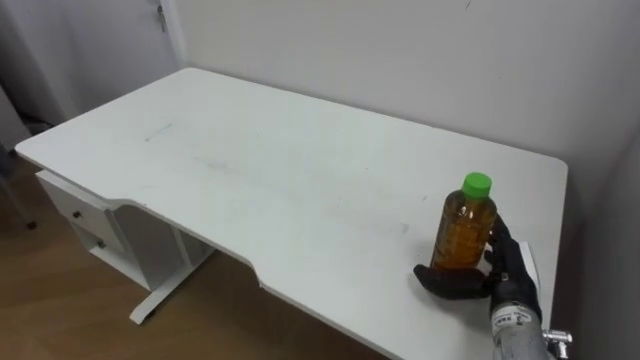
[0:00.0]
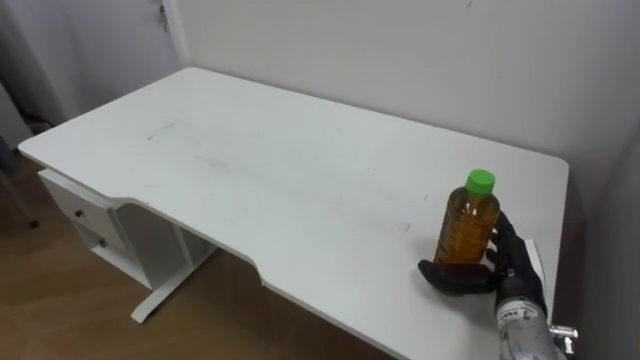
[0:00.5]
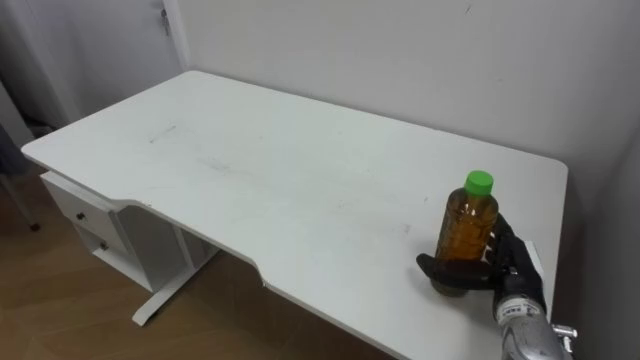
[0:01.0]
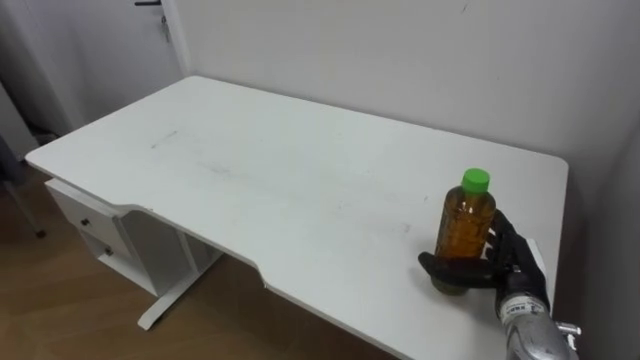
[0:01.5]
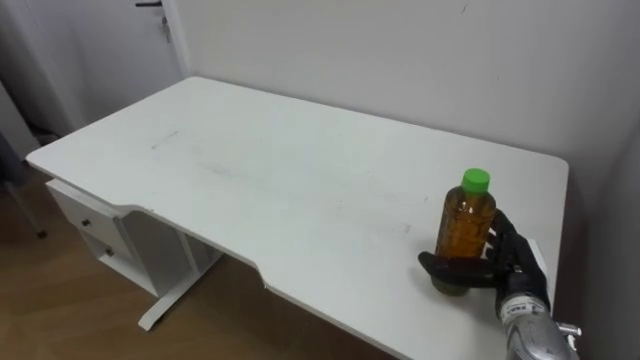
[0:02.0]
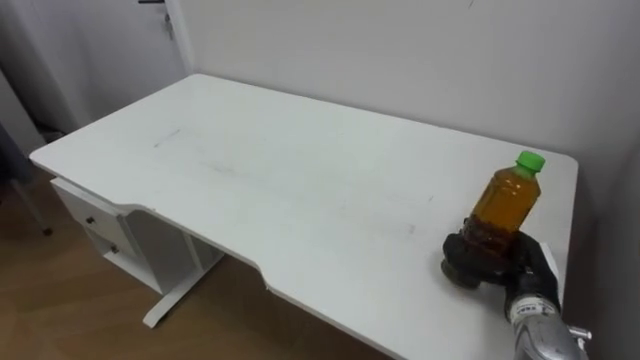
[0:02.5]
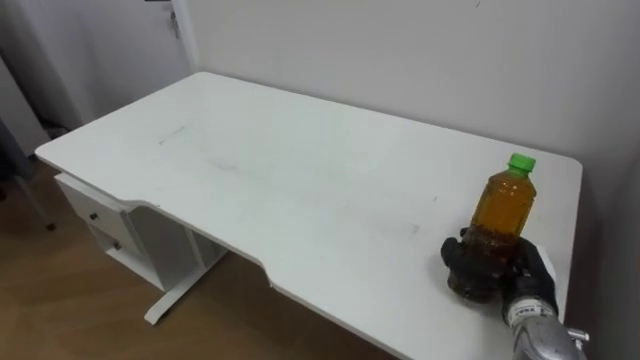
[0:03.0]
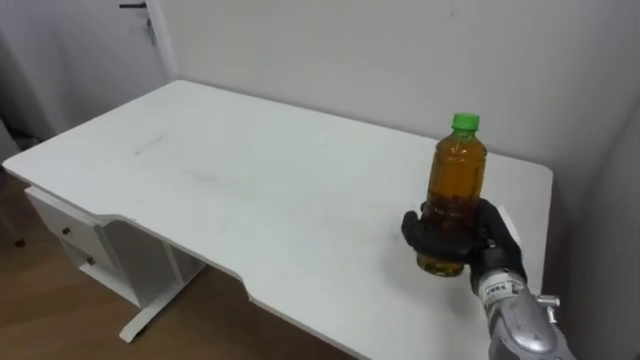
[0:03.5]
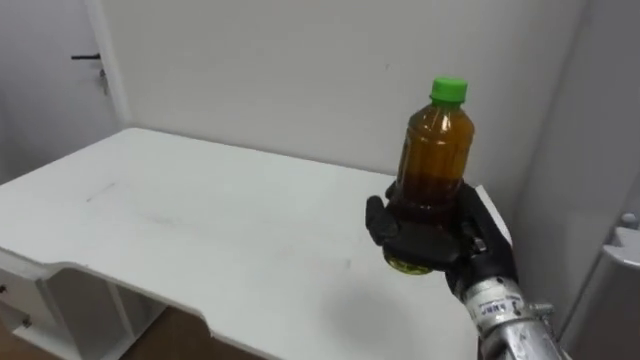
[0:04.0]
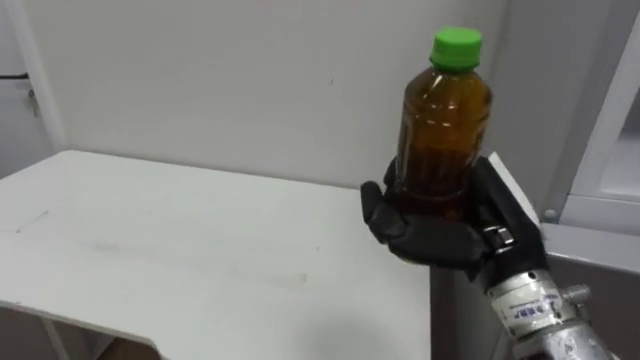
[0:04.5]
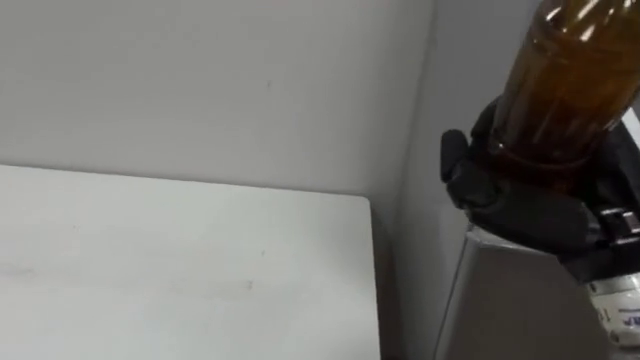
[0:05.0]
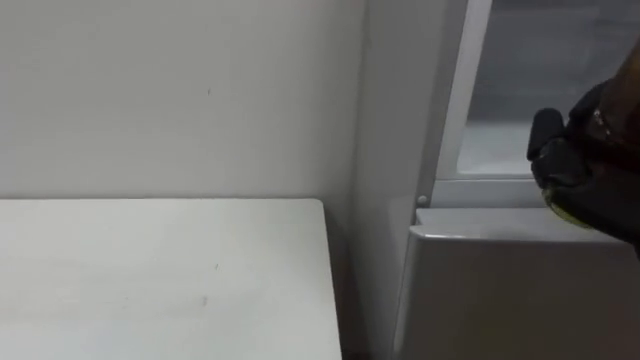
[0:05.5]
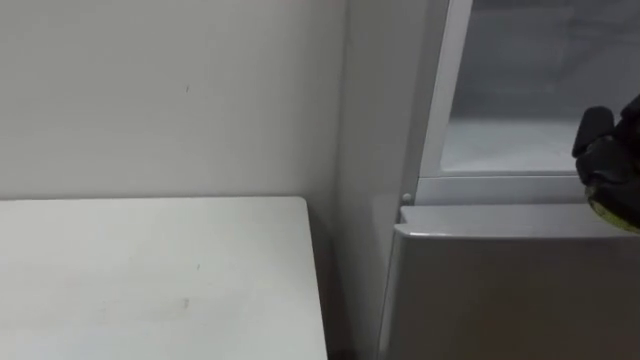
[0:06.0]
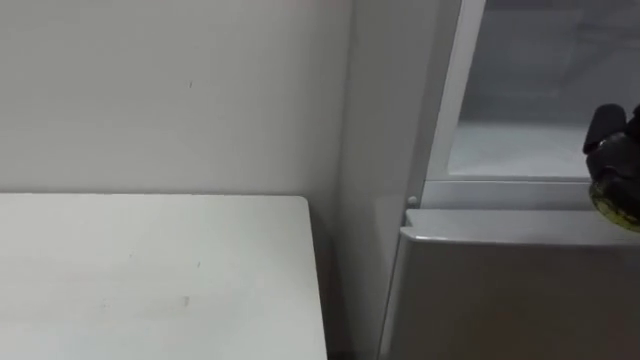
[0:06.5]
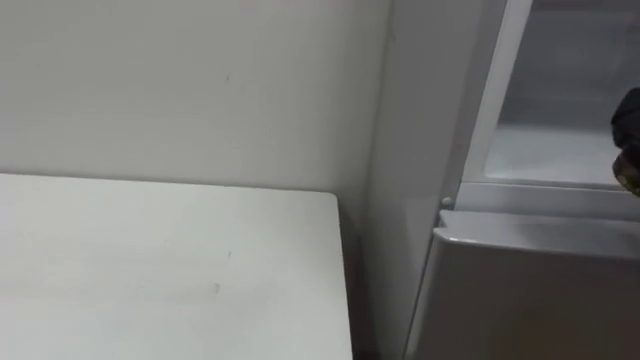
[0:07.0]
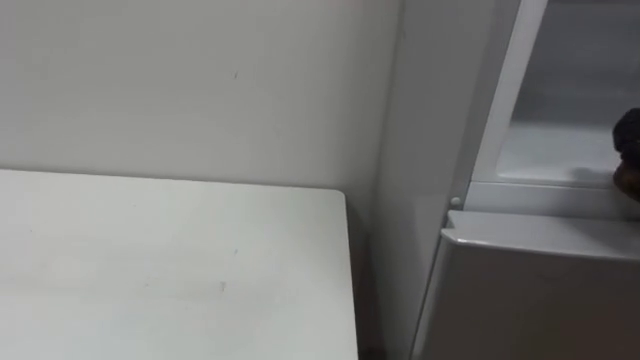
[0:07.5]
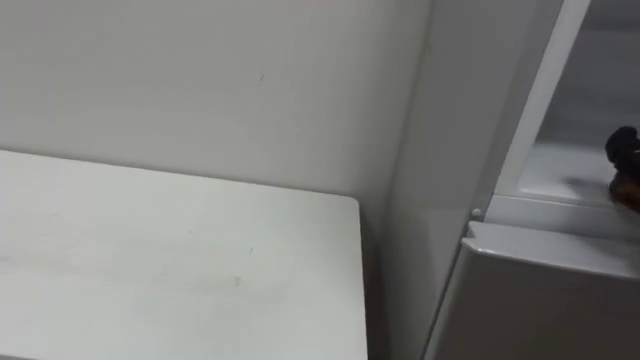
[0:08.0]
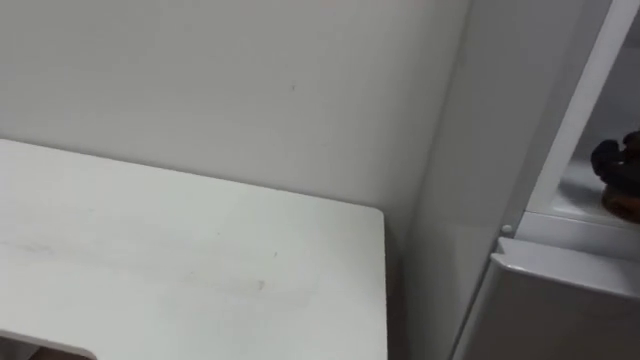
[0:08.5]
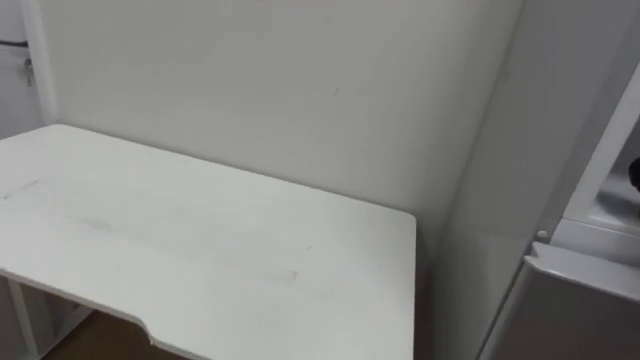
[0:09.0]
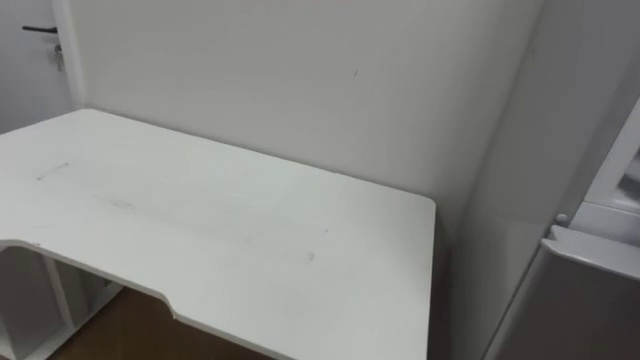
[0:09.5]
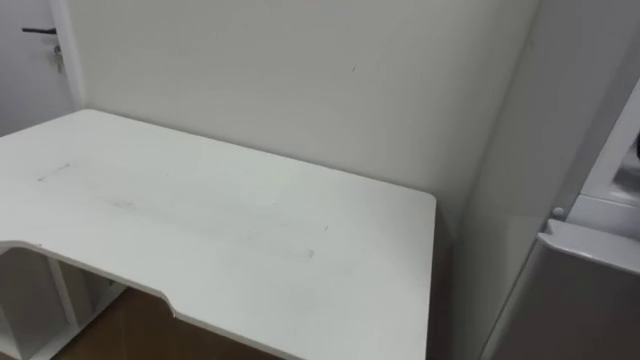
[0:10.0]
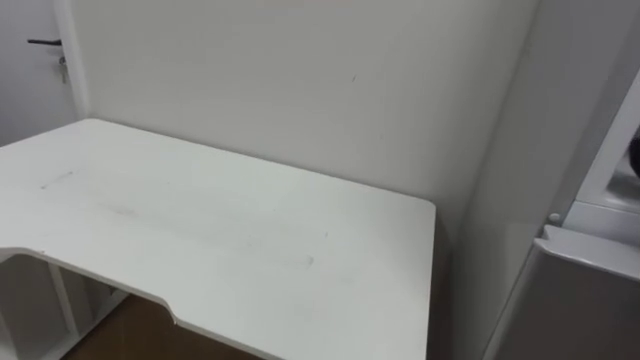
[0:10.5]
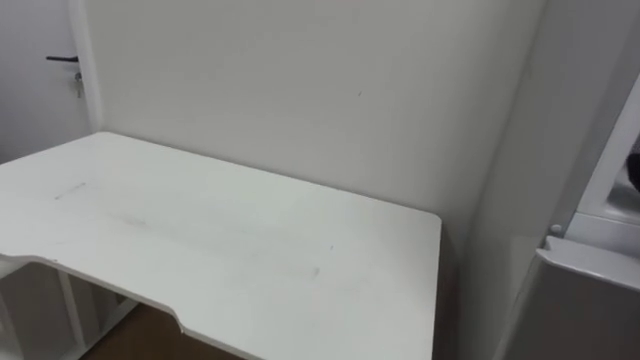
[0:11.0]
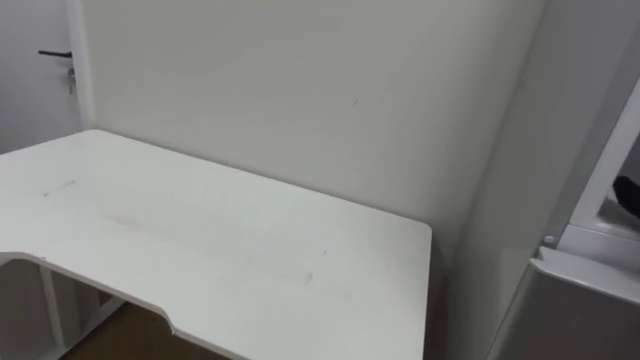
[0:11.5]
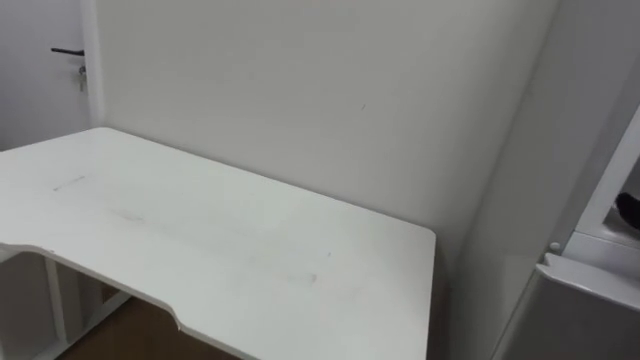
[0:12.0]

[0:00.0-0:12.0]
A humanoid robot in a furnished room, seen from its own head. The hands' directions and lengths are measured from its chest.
Task of the whole recording: Open the upper refrigerator door, put the drink from the table into the refrigerator, and then close the refrigerator door.
0:02.0 to 0:04.0: The right hand shifts about 15 cm upward and to the left, and closes its fingers.

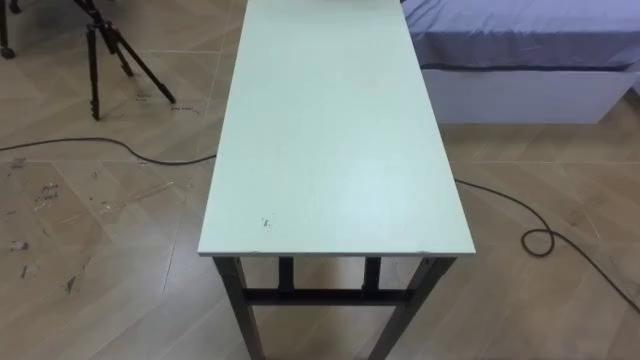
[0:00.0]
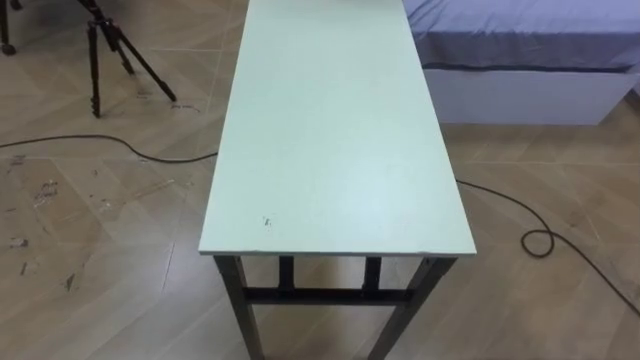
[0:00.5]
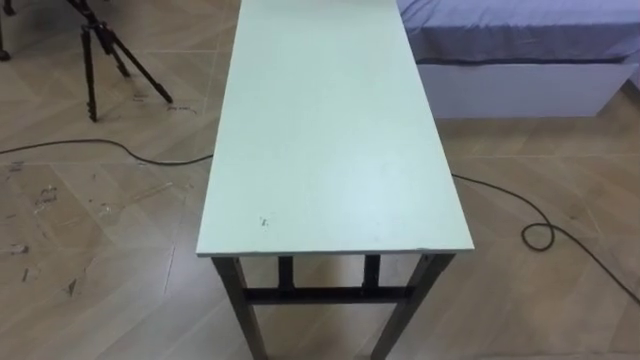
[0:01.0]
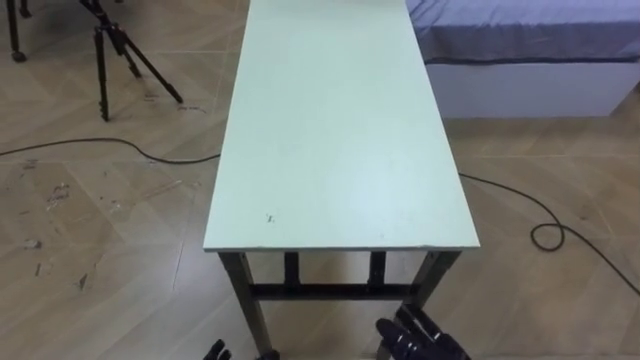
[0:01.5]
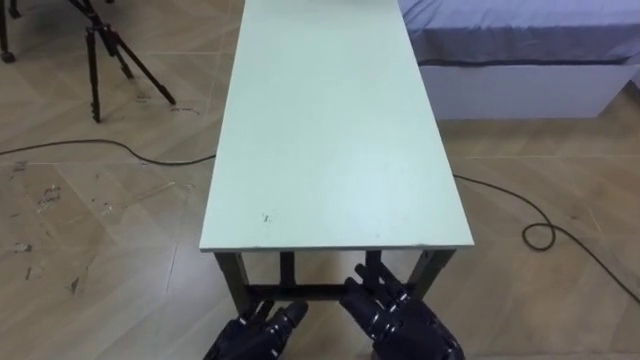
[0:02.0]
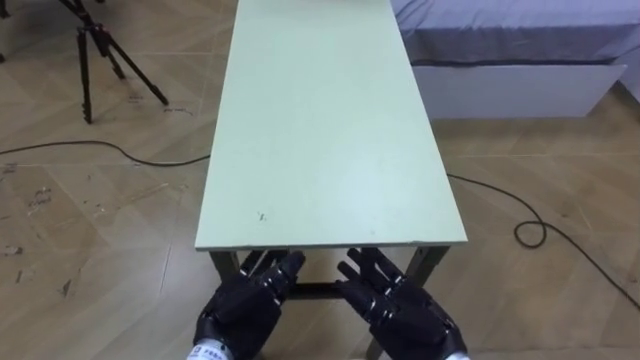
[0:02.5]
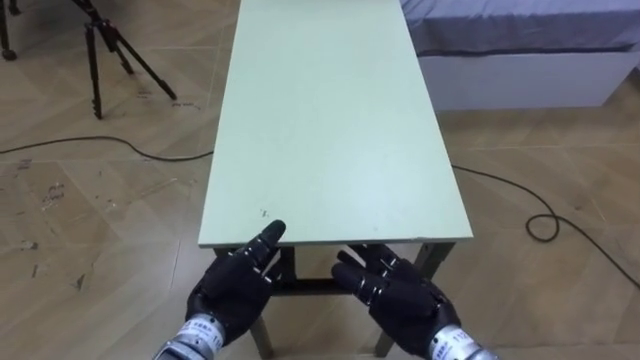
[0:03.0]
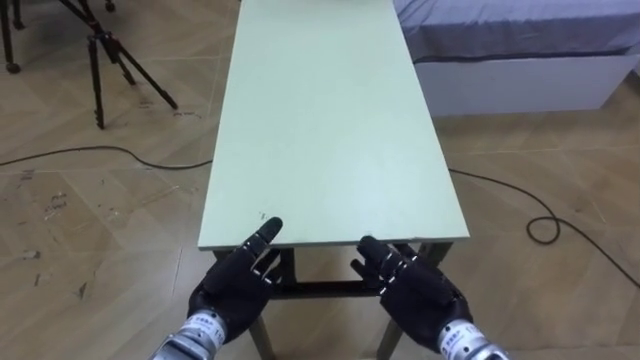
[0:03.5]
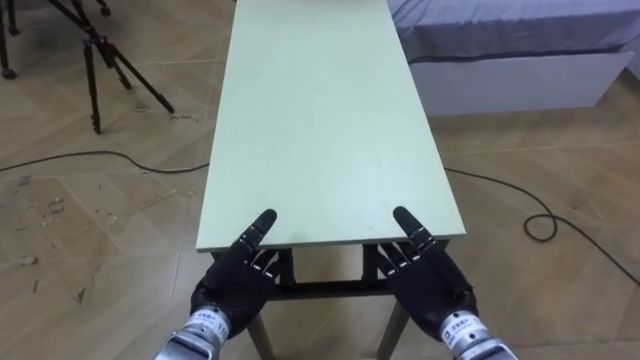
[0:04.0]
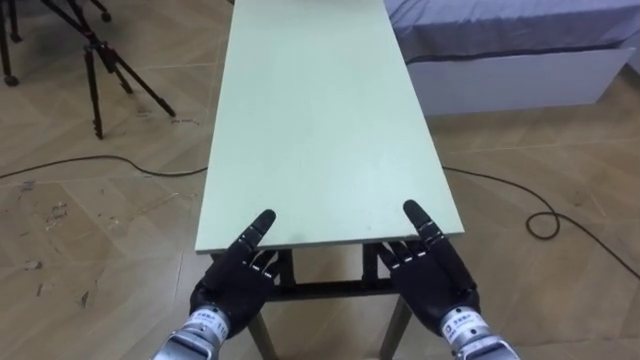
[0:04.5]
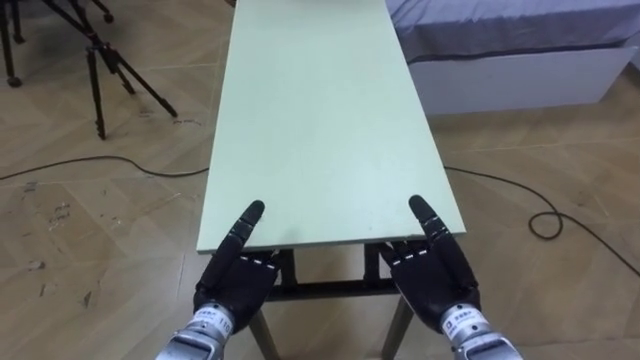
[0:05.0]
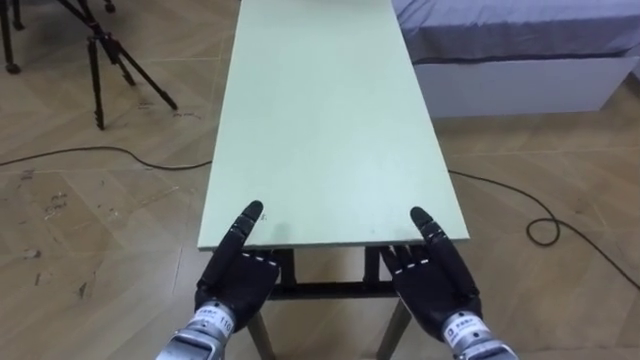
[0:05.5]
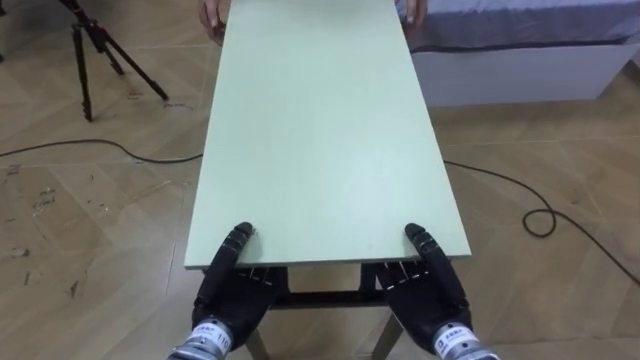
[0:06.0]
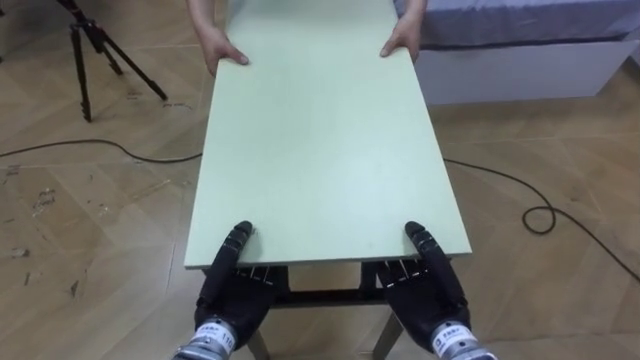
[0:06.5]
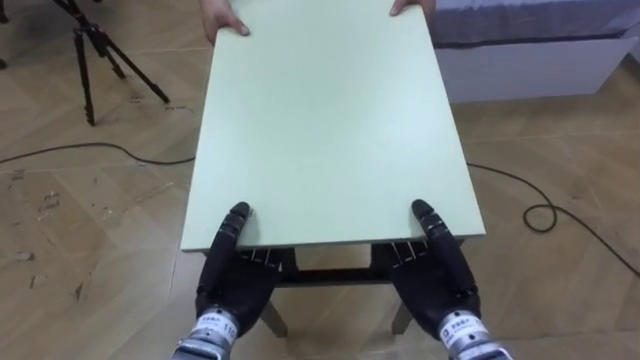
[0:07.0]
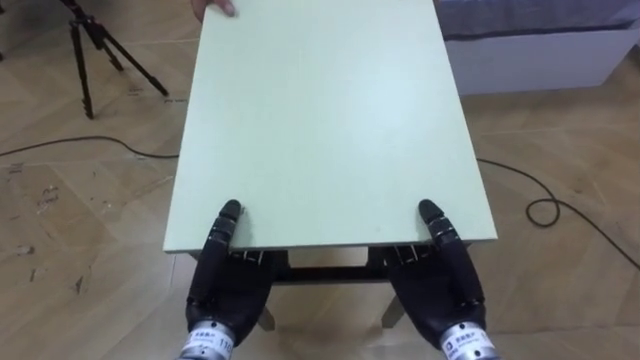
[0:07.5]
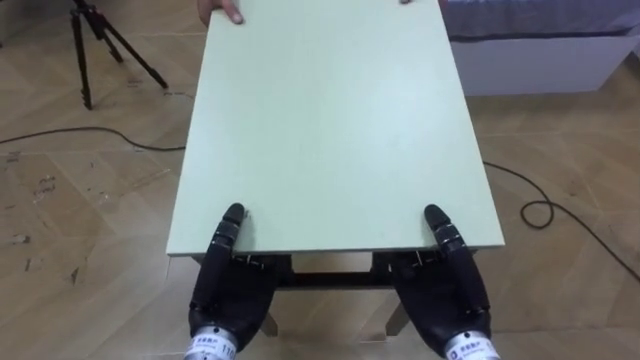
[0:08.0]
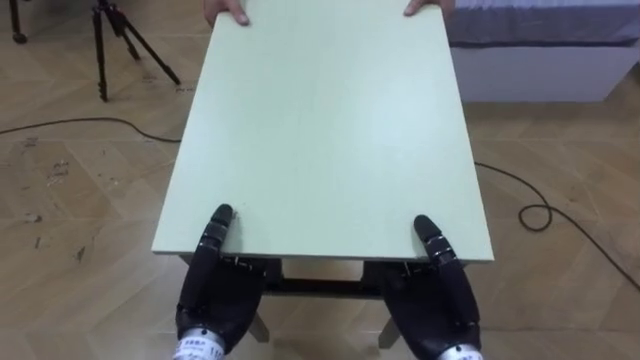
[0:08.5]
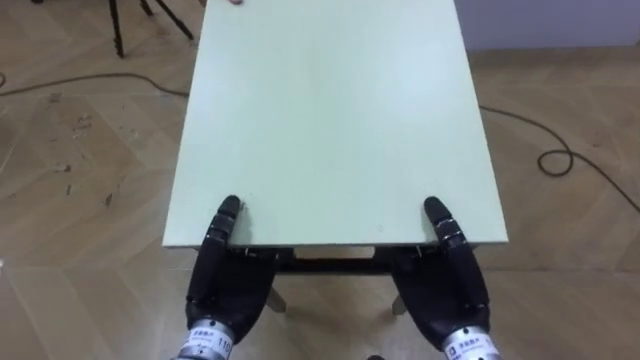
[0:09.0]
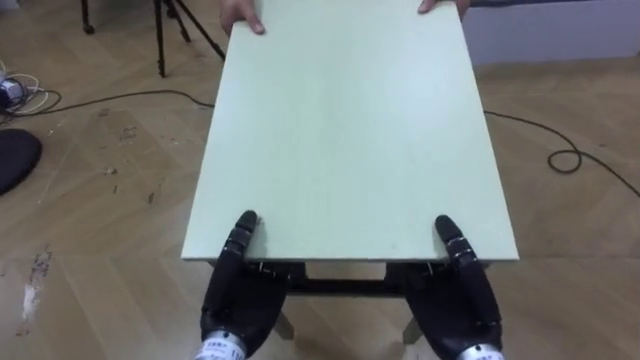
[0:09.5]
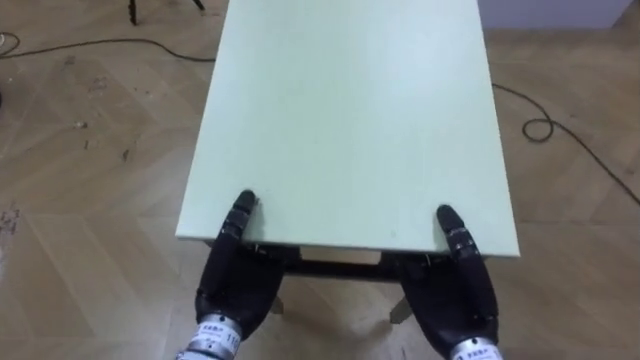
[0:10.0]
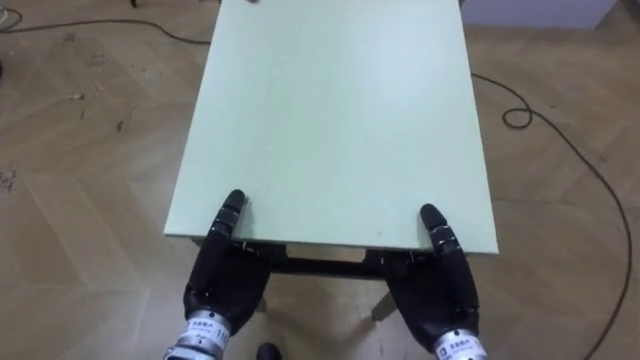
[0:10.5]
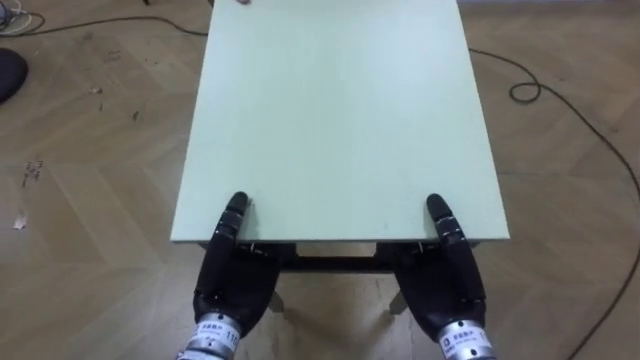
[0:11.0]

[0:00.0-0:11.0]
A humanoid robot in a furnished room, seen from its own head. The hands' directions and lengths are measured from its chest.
Task of the whole recording: Move the table to the back left with someone.
0:02.0 to 0:03.5: The left hand shifts roughly 10 cm forward. The right hand travels forward by roughly 5 cm.
0:05.5 to 0:07.5: The right hand closes up; the left hand closes.
